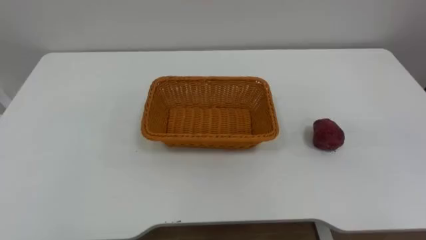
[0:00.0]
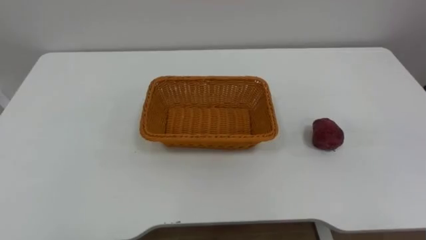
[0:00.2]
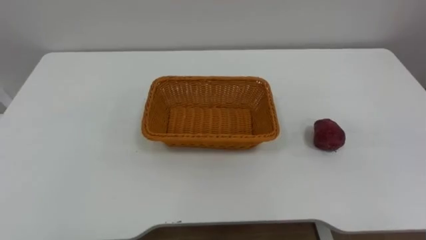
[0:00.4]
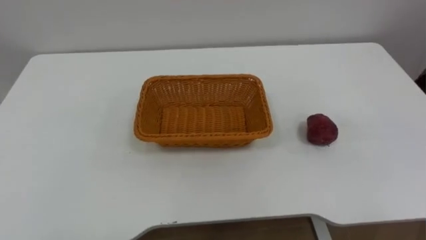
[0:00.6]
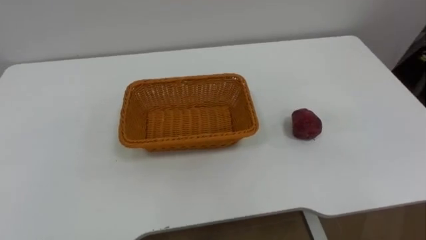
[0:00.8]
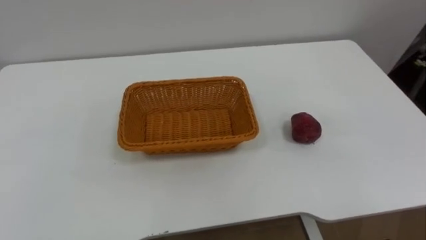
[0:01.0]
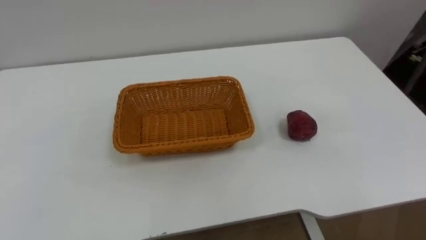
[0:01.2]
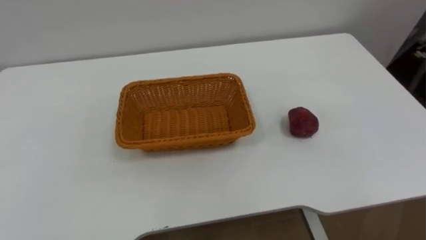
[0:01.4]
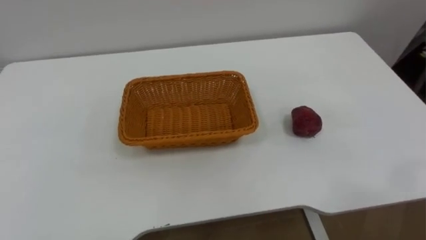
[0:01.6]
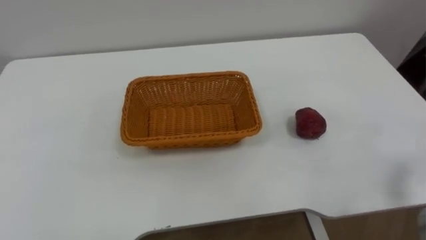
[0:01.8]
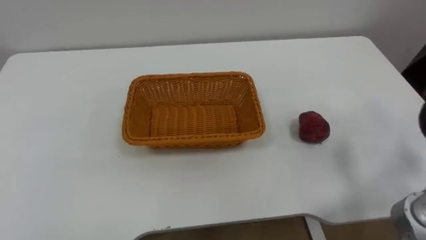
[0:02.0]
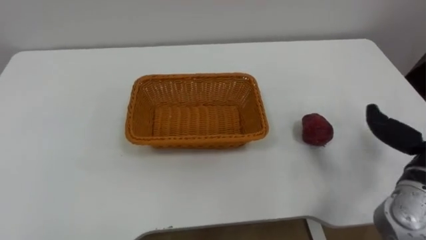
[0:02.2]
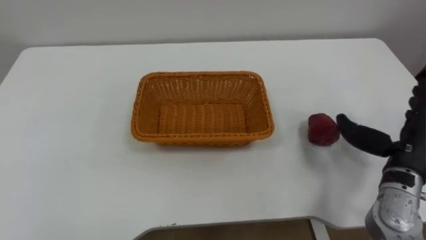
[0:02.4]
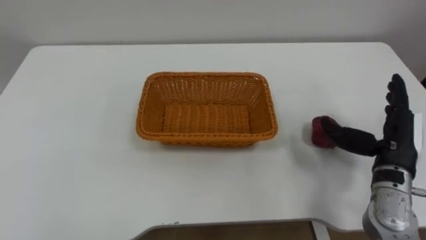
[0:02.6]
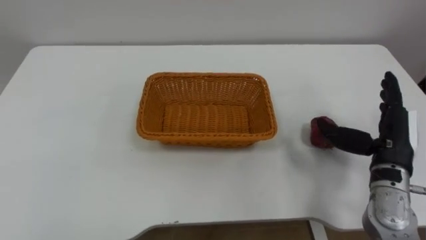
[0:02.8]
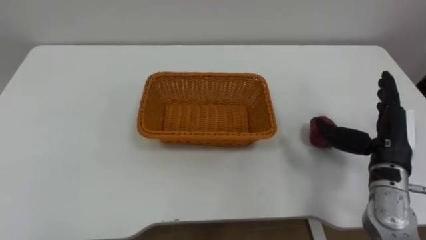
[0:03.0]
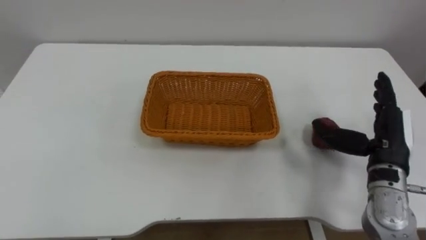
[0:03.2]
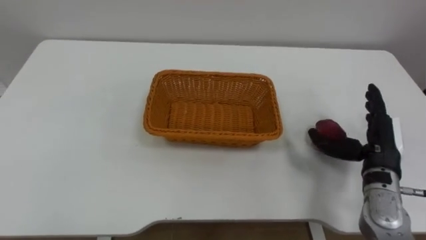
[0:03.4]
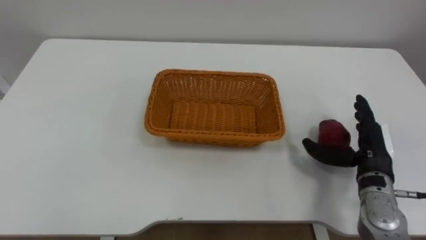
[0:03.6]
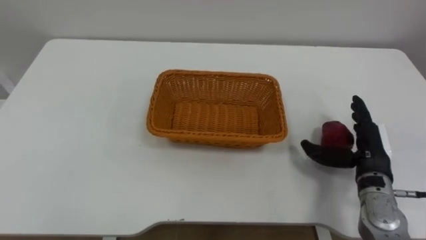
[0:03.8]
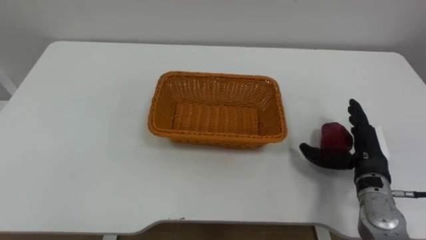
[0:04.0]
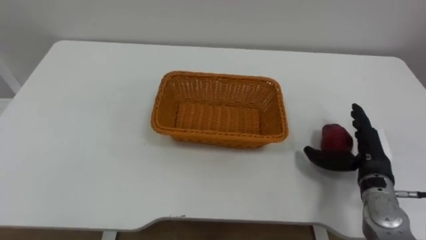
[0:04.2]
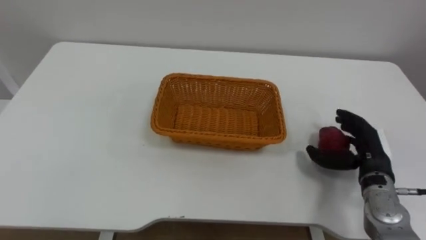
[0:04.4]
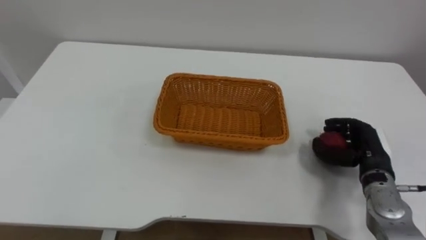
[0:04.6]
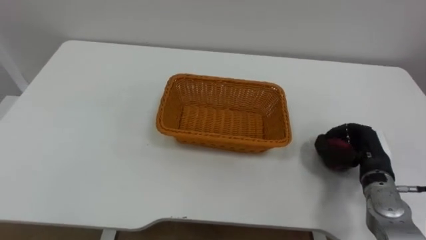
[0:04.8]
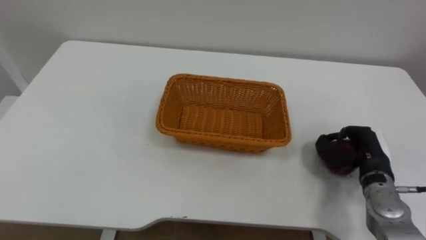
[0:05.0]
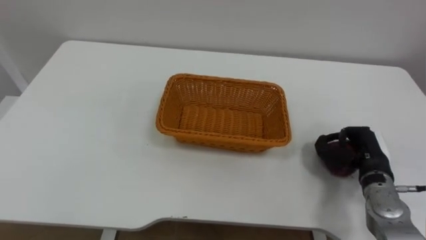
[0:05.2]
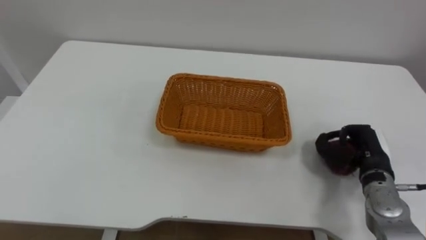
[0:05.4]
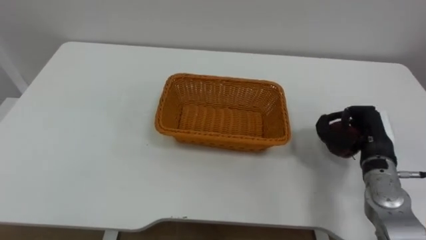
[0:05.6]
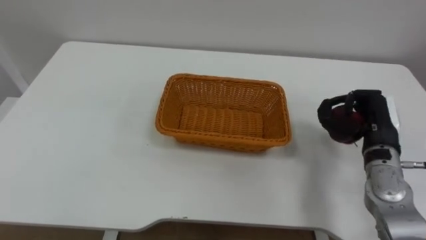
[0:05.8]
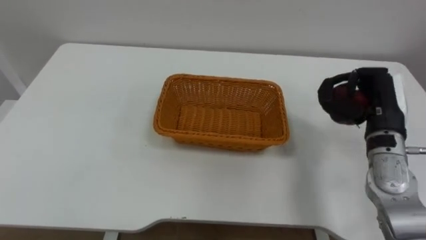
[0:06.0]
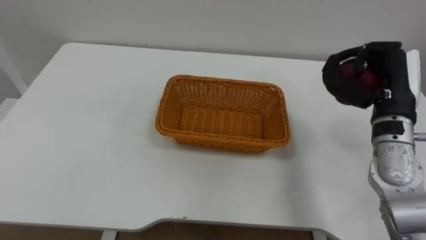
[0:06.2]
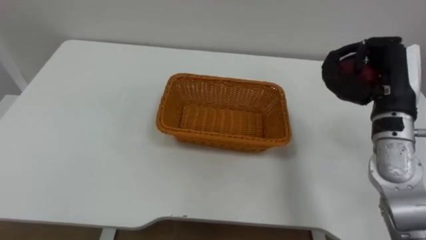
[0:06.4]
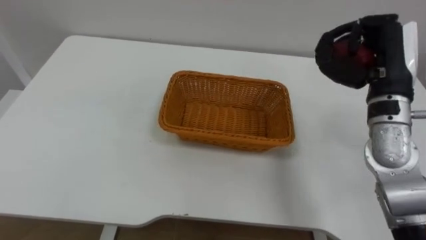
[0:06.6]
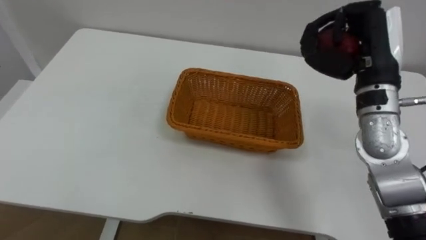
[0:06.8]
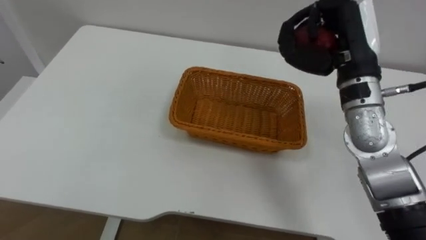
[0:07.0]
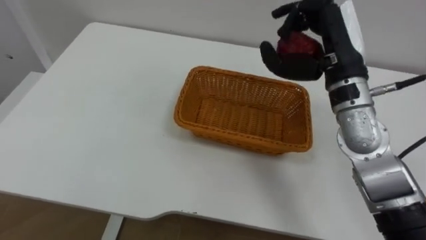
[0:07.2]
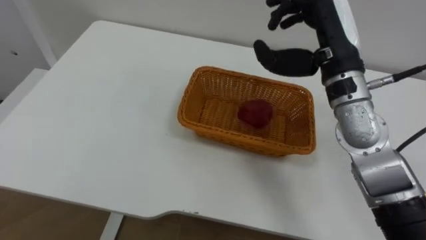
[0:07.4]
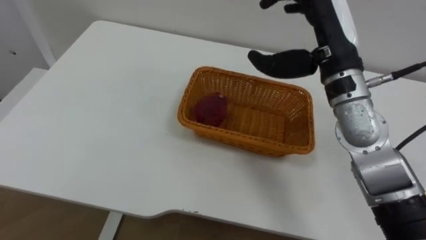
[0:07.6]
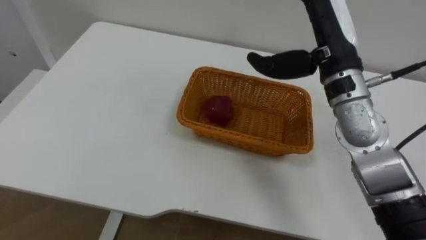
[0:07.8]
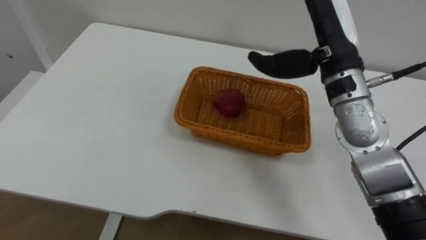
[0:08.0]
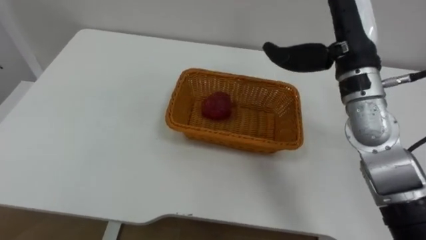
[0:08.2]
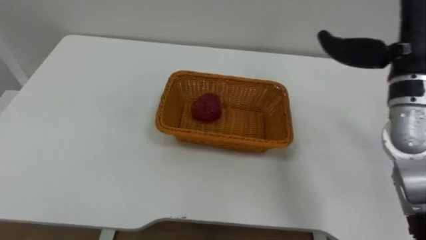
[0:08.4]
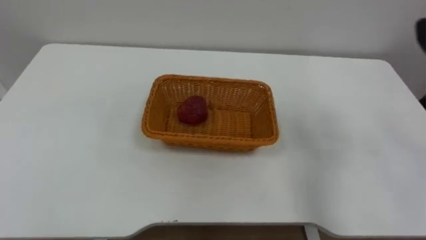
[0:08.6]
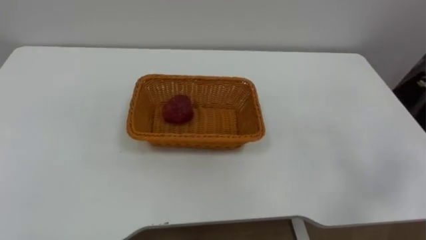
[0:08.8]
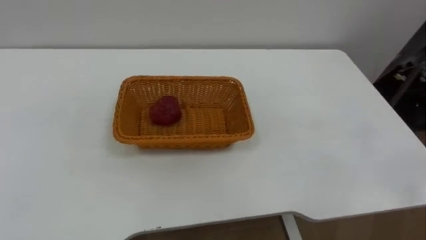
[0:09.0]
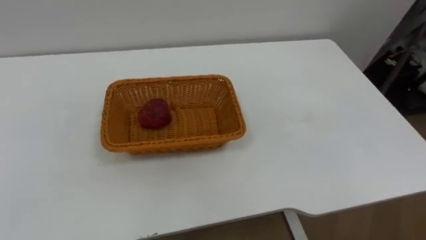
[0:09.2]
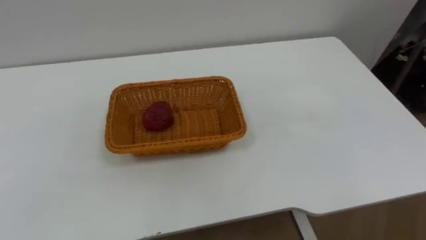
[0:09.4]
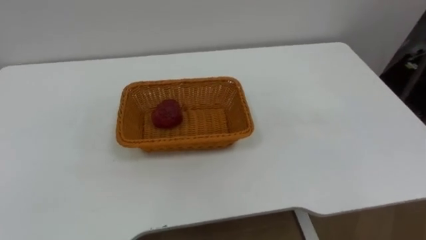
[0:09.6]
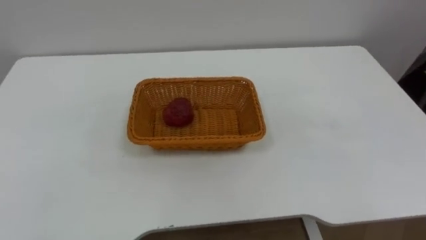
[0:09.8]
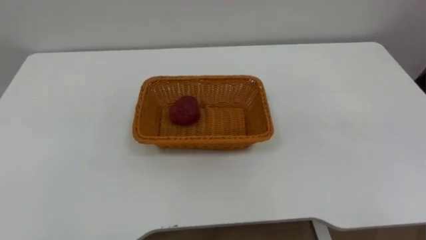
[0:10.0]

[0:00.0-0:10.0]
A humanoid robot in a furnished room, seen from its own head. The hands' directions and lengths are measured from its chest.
Task of the whole recording: Pick the apple and place it in the box.
0:02.8 to 0:04.2: The right hand is displaced downward by about 5 cm.
0:04.2 to 0:05.8: The right hand moves upward, approximately 5 cm, and closes its fingers.
0:05.8 to 0:07.2: The right hand goes approximately 20 cm upward and to the left.

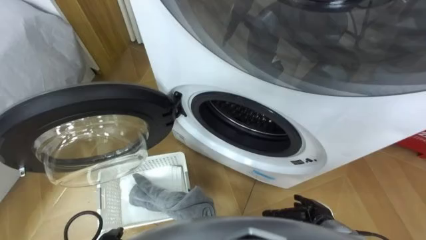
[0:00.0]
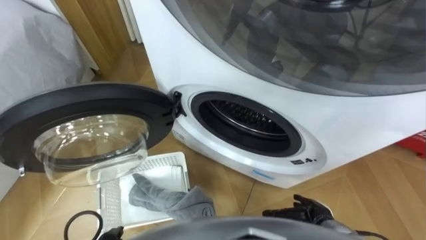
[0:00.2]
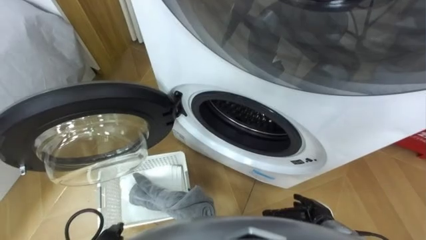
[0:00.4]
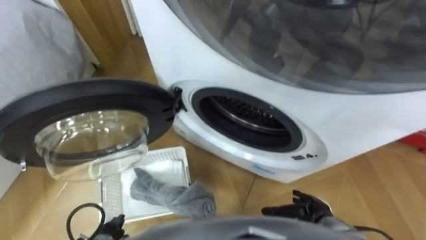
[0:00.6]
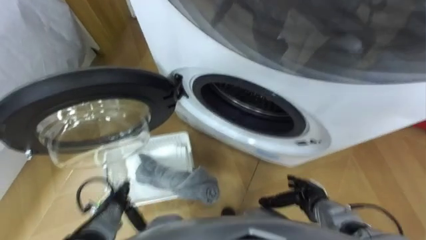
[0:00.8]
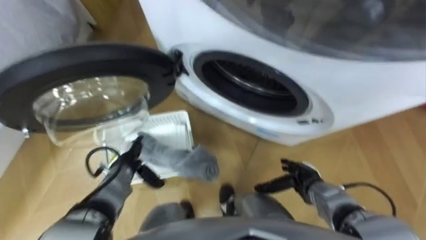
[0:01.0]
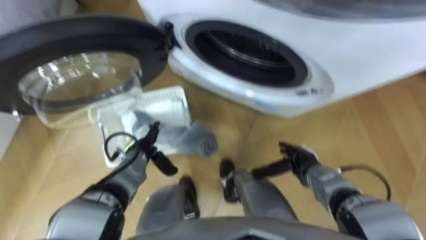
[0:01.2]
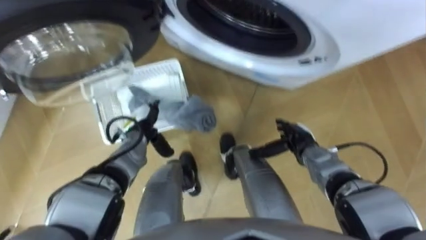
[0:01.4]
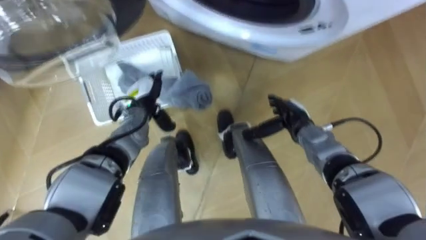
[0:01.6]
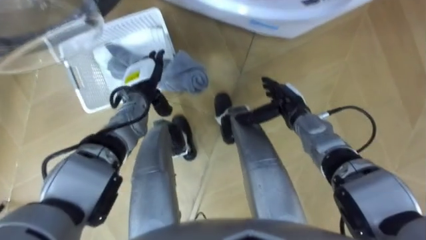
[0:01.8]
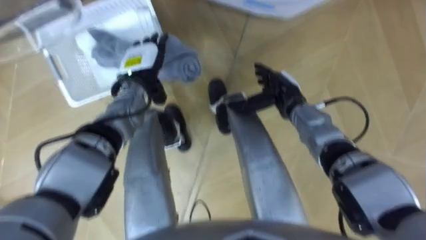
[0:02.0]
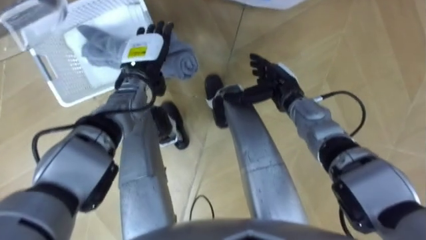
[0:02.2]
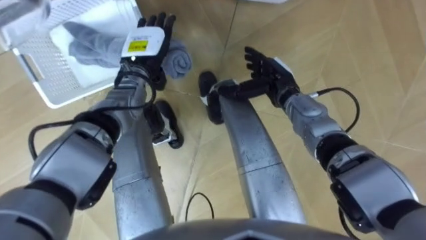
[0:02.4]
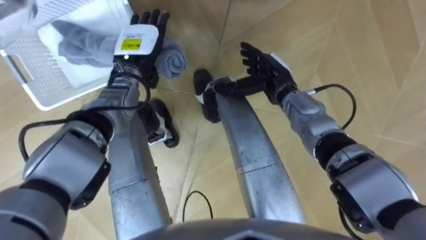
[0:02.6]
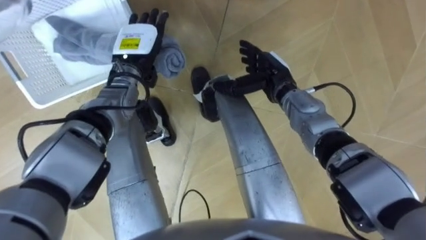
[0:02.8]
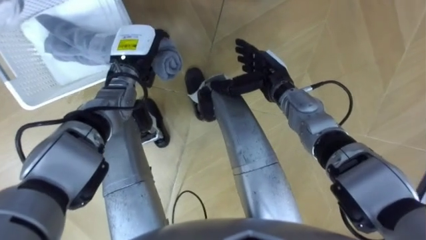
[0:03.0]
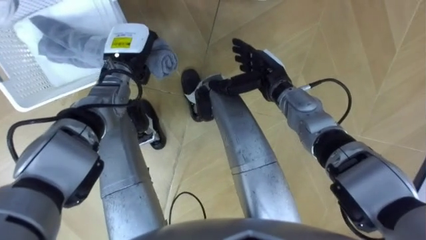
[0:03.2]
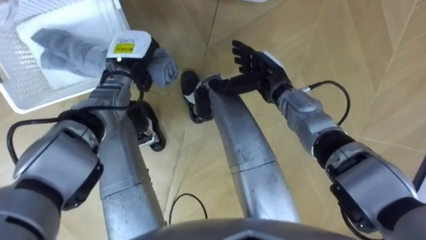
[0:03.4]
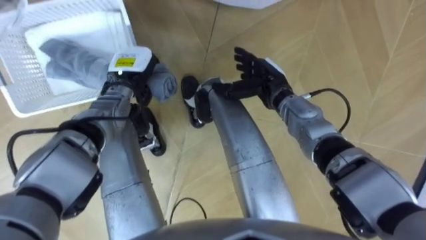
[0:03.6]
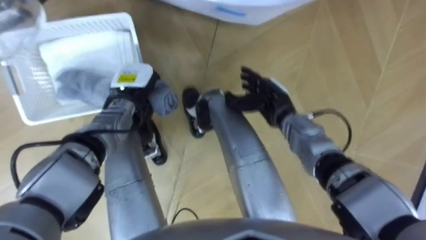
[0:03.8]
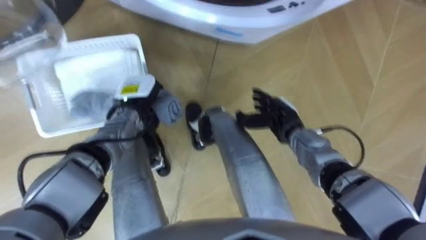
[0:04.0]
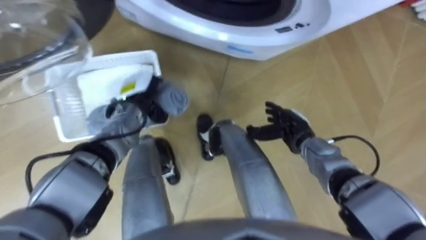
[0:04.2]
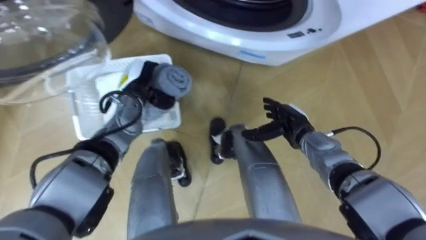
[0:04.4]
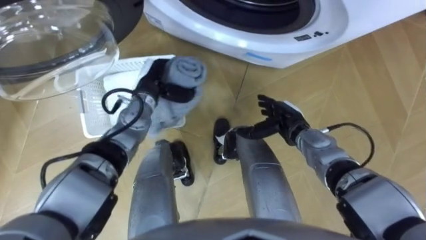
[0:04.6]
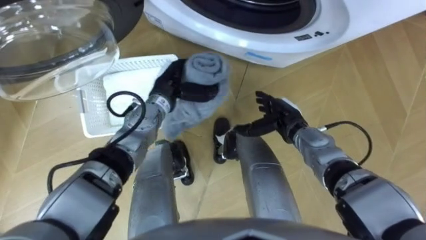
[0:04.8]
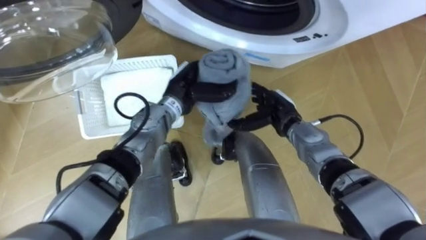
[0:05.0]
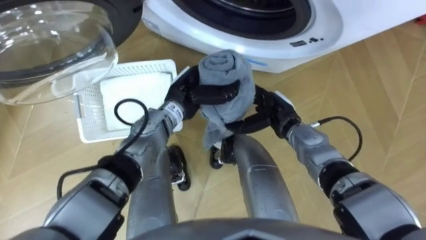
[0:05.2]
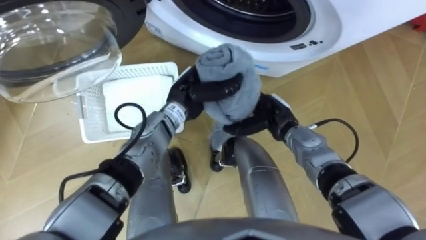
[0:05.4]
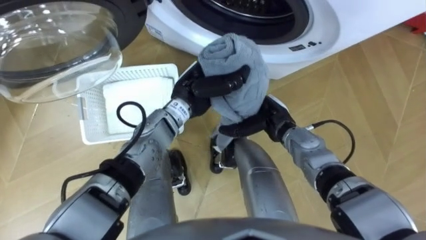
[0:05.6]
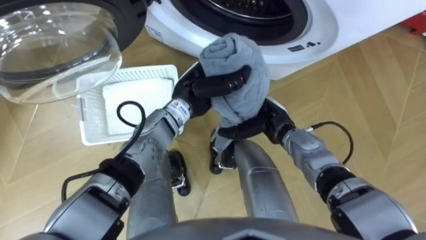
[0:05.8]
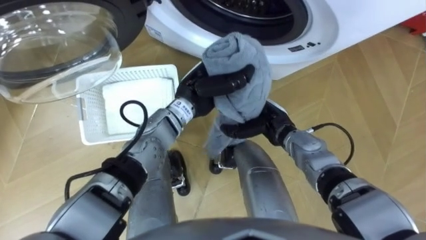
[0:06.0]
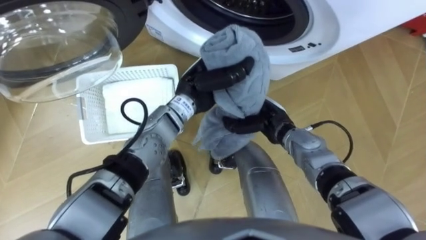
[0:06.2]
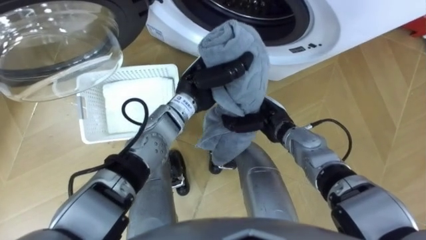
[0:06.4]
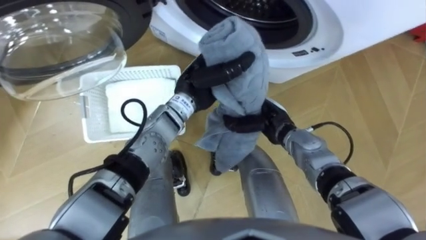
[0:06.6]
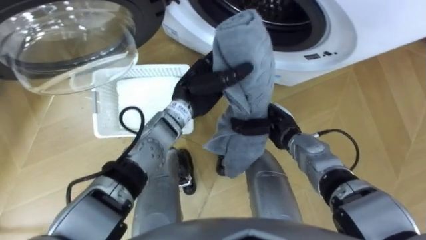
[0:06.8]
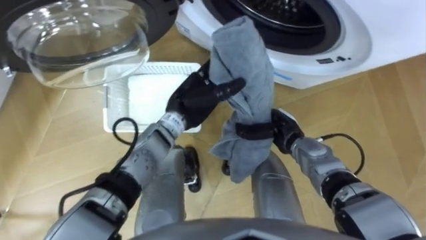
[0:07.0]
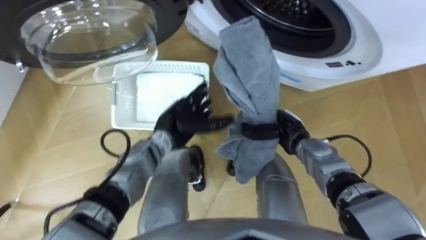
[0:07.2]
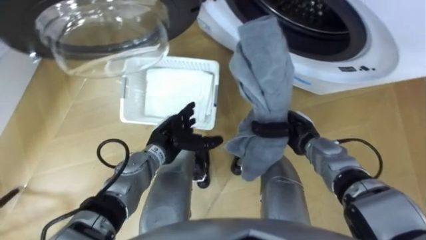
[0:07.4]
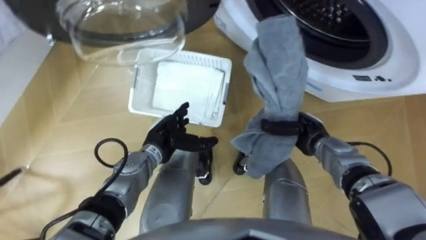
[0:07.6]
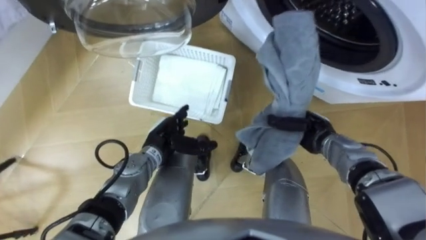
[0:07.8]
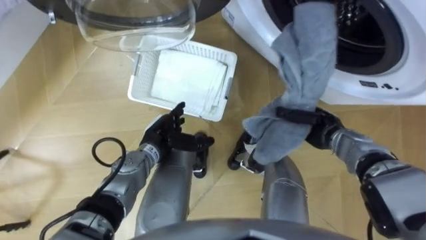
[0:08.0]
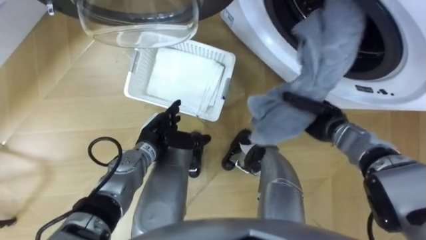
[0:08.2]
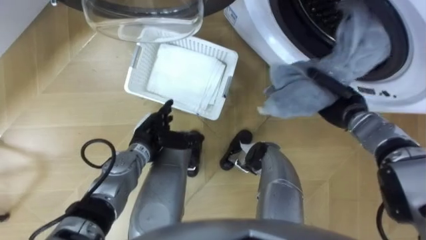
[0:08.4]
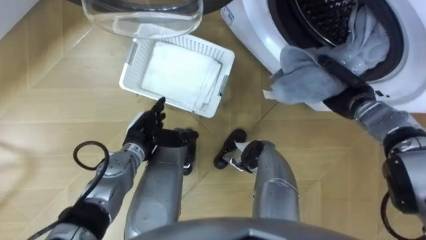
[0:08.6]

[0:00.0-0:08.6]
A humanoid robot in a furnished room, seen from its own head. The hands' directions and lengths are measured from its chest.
Task of the whole recording: Take the towel from the basket and put it into the washing machine.
0:01.4 to 0:02.8: The right hand moves upward, forward and to the left, roughly 20 cm. The left hand travels upward and forward by some 20 cm.
0:02.8 to 0:04.4: The right hand is displaced downward, backward and to the right by some 10 cm. Meanwhile the left hand heads downward, covering roughly 5 cm, and closes.
0:04.4 to 0:05.8: The left hand heads to the right, covering some 15 cm; the right hand goes some 5 cm to the left.
0:05.8 to 0:07.2: The right hand ends up approximately 5 cm from where it was, and closes its fingers; the left hand is displaced downward by about 5 cm, and opens.
0:07.2 to 0:08.6: The right hand shifts about 15 cm to the right, forward and upward; the left hand shifts some 10 cm to the left.
